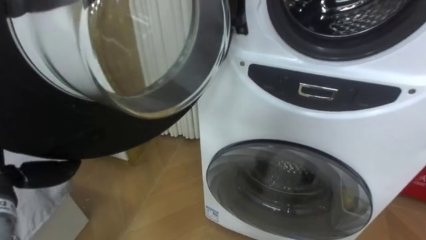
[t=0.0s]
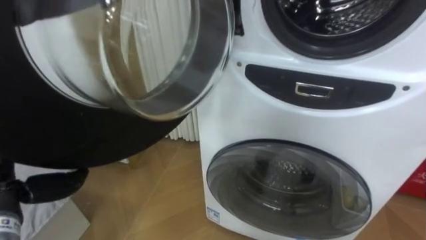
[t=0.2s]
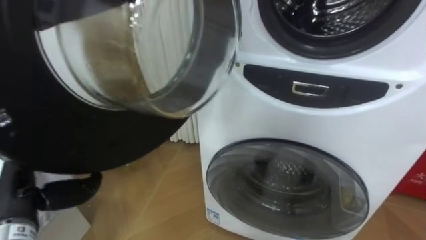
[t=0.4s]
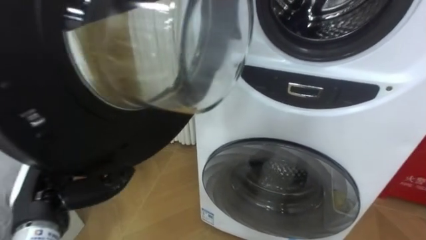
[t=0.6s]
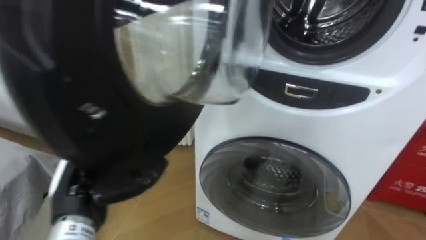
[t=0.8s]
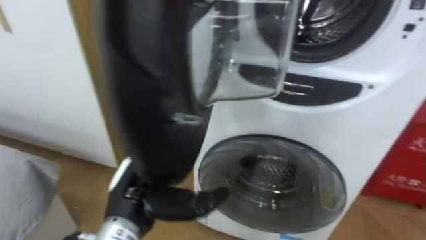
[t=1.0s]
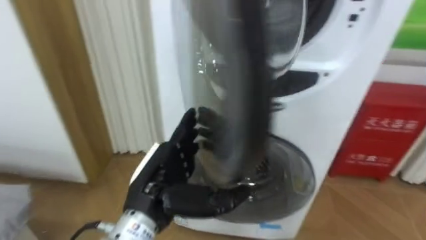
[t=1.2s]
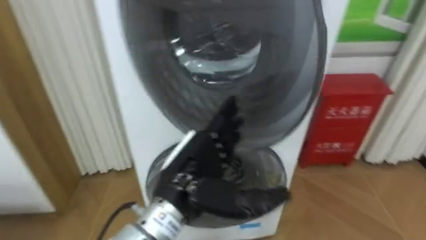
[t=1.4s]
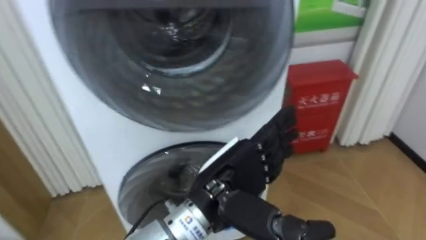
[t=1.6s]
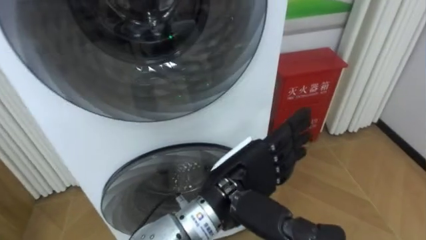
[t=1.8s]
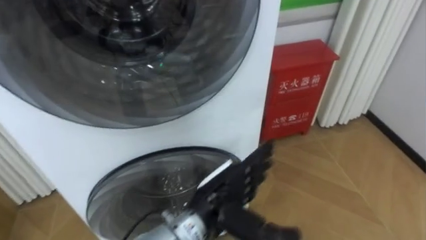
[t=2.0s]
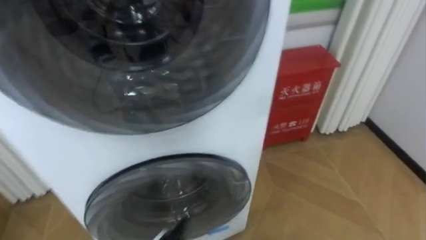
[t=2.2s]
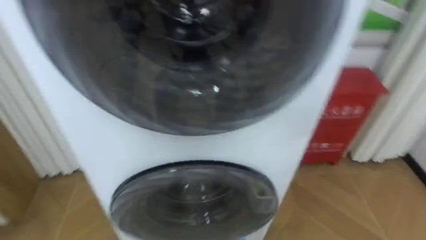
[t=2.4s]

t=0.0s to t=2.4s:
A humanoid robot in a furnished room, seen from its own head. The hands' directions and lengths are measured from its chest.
Task of the whole recording: Open the washing machine door, take out the yellow clothes, place them in the box on the right, and close the washing machine door.
t=1.2s to t=2.4s: The robot rotates roughly 15 degrees to its right.
